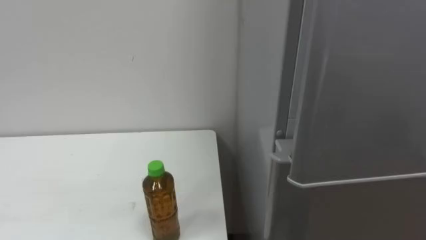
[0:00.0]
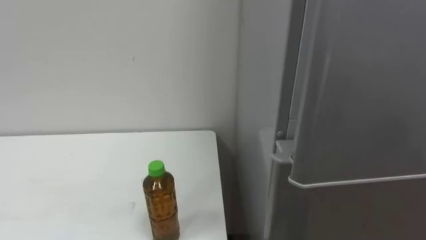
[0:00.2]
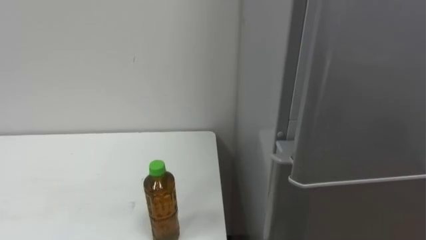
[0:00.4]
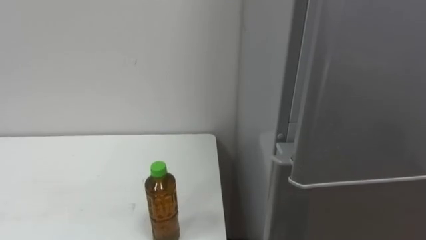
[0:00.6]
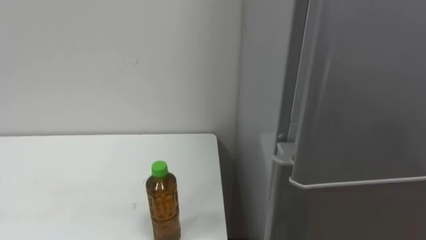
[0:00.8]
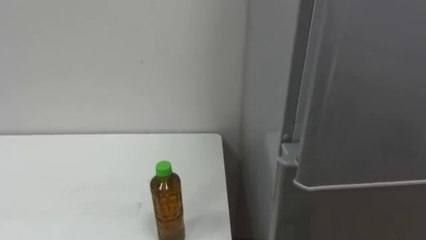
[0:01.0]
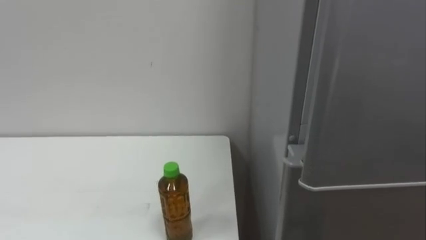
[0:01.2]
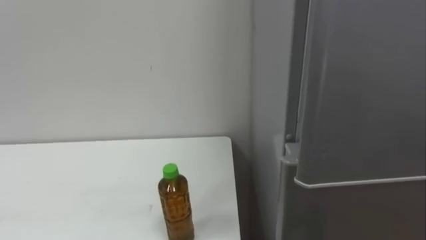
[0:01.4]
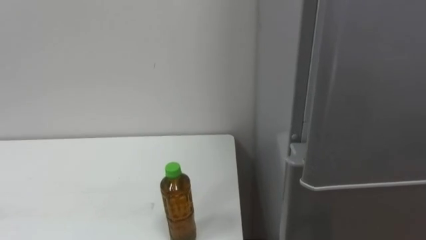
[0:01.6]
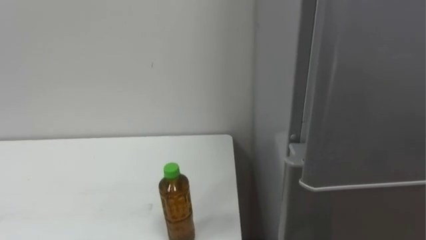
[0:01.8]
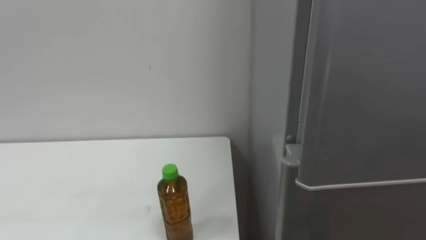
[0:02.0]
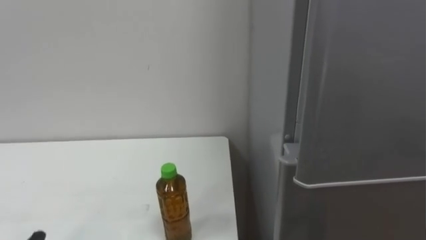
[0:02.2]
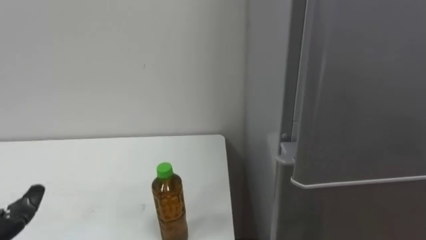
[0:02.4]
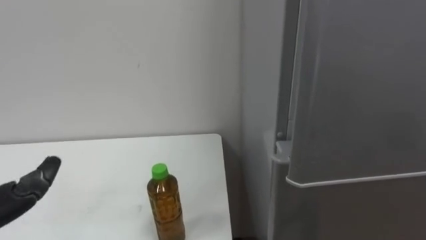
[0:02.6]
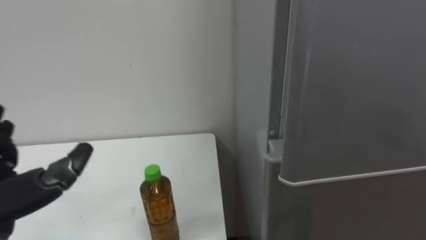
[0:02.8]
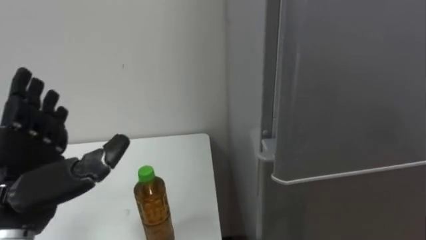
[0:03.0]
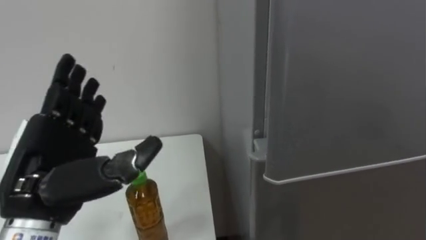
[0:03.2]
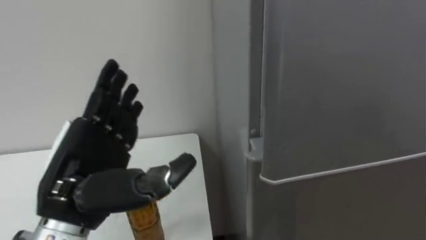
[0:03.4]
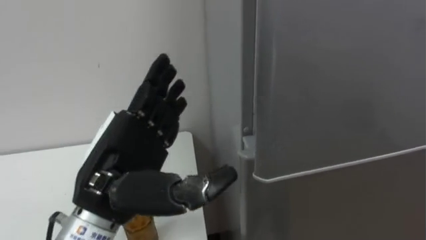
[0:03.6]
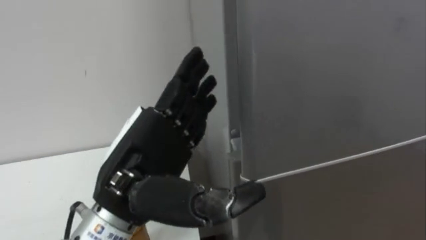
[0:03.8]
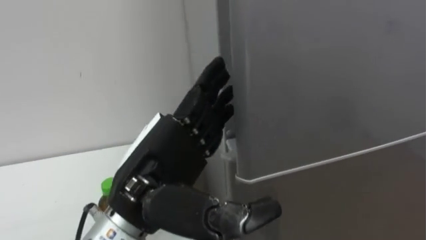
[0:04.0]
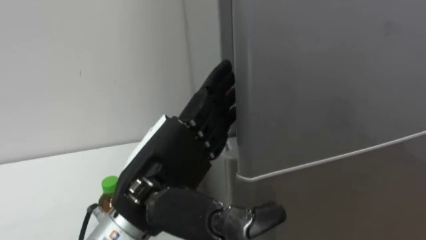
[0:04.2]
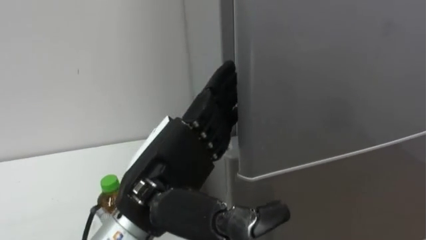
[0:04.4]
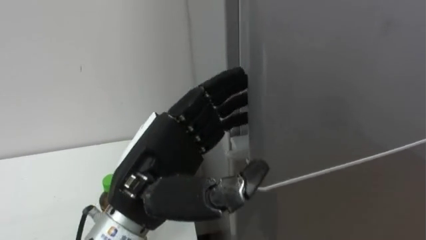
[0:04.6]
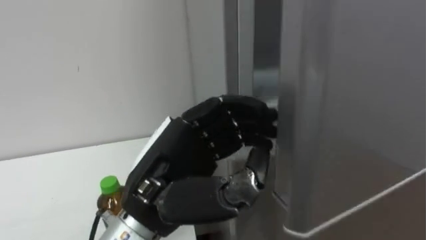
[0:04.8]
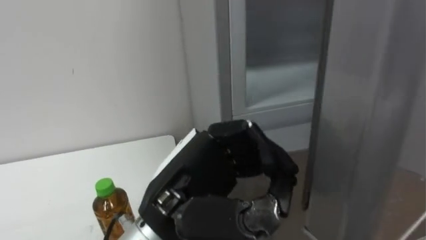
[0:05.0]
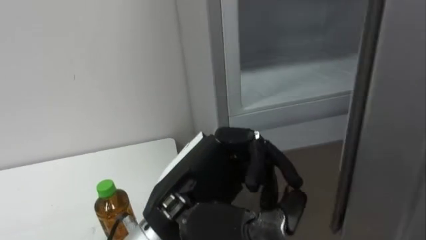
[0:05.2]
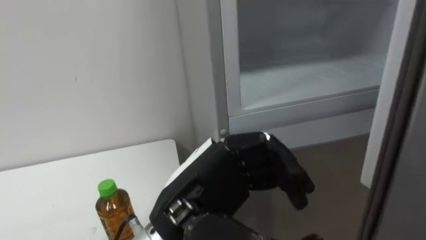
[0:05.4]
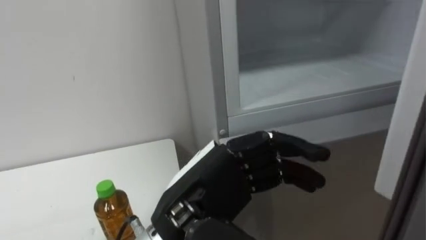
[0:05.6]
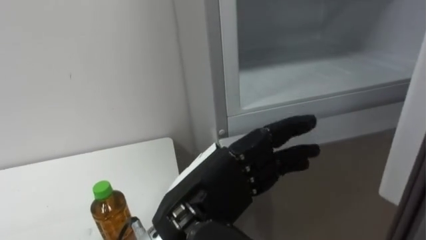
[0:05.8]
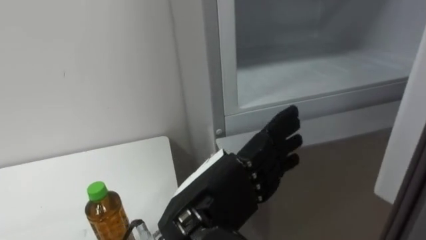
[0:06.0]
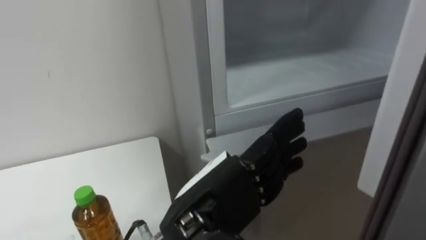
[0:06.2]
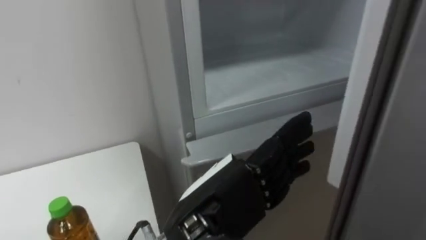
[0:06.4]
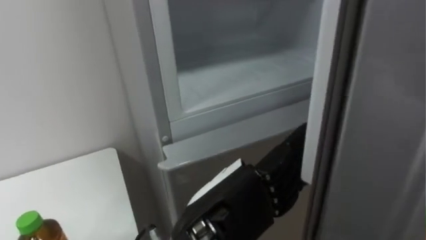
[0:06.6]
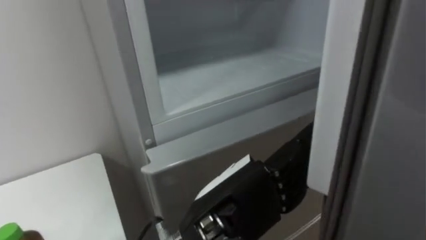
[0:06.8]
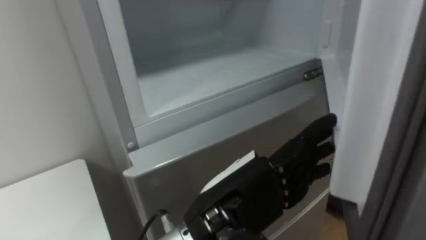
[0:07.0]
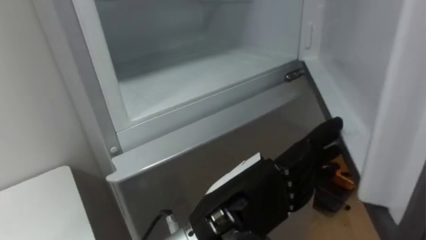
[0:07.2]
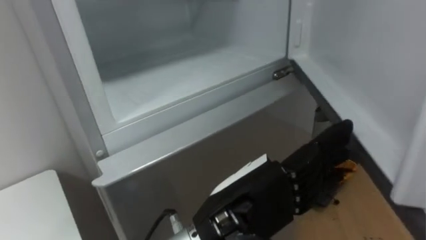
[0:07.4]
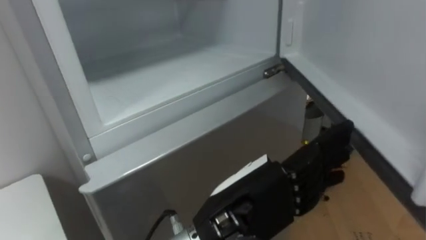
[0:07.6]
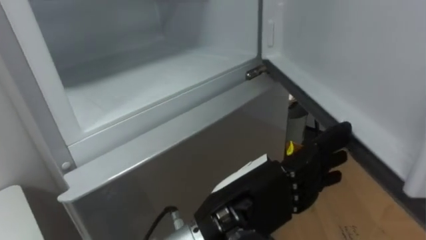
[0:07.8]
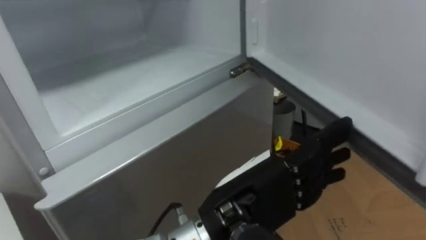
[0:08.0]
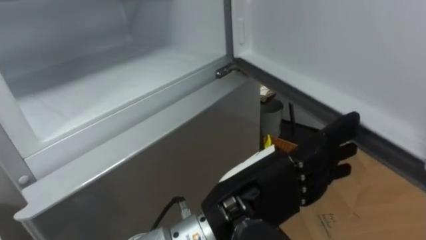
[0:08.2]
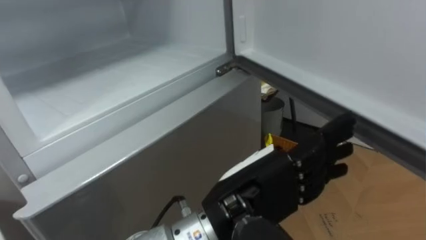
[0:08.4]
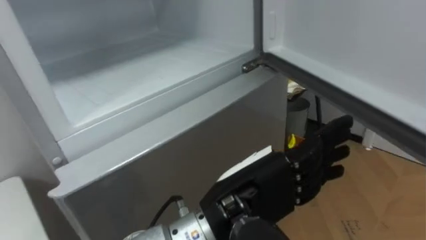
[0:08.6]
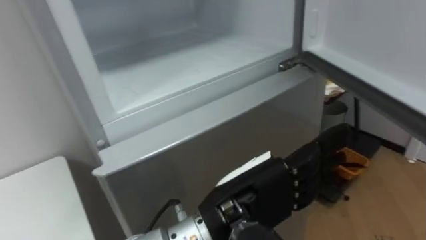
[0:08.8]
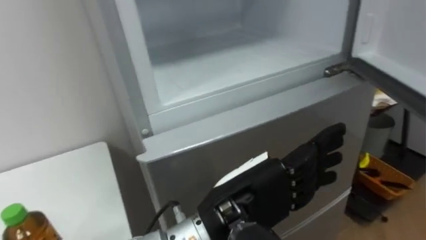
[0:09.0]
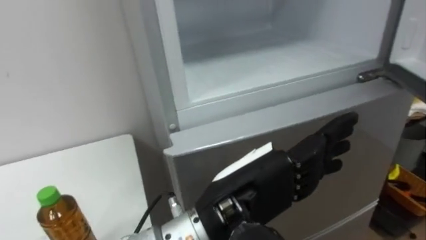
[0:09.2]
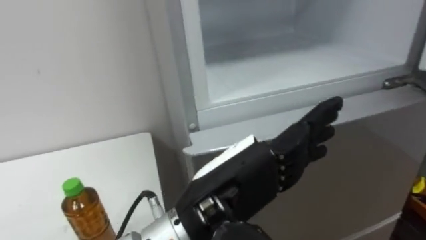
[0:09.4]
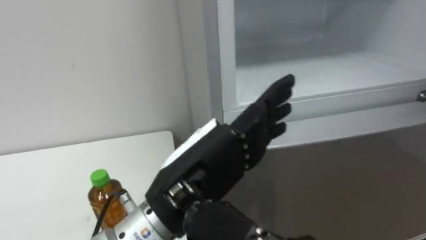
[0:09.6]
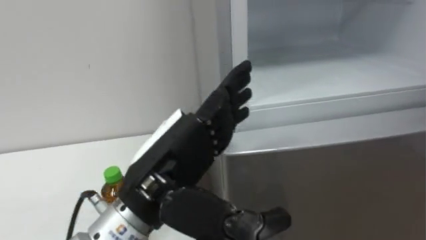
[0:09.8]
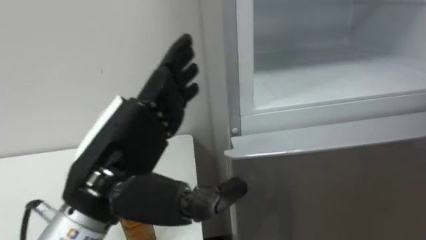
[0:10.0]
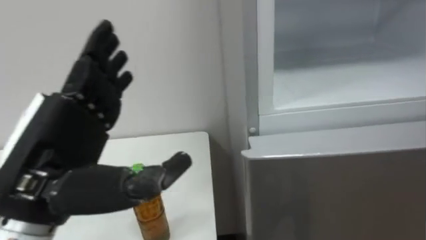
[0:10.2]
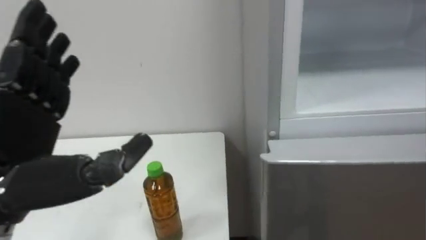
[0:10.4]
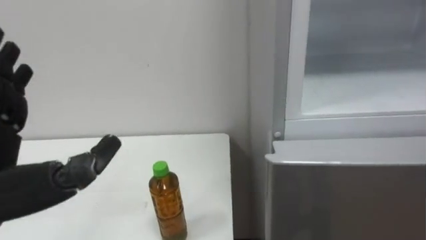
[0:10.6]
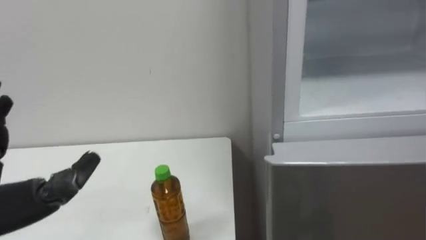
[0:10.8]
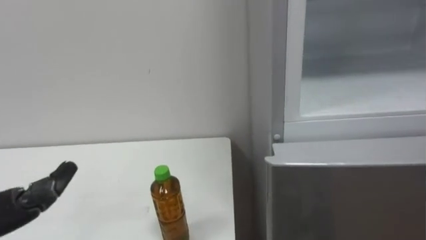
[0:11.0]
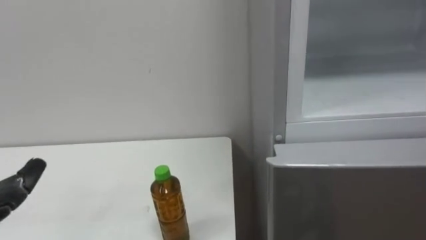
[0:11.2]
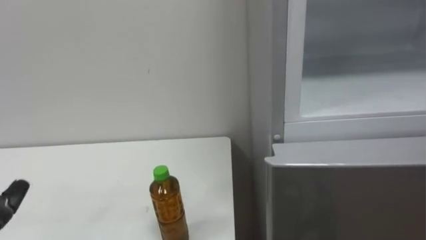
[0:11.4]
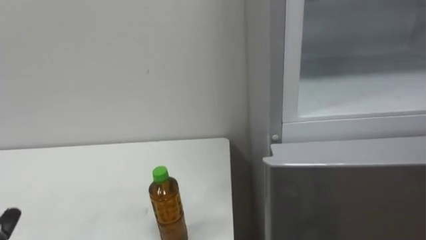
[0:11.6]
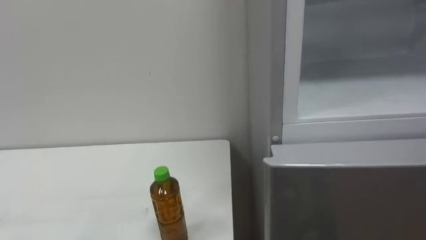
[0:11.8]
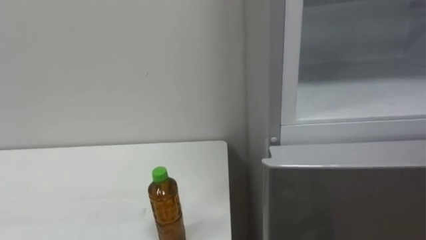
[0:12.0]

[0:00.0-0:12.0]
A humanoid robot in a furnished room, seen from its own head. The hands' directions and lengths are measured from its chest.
Task of the whole recording: Open the upper refrigerator door, put the drink from the table into the refrigerator, and then close the refrigerator door.
0:03.0 to 0:04.4: The left hand heads to the right, covering approximately 15 cm.
0:04.4 to 0:06.0: The left hand moves approximately 5 cm, and closes, then opens again.
0:06.0 to 0:07.6: The robot faces roughly 20 degrees further to its right.
0:09.0 to 0:10.4: The left hand heads to the left, covering about 25 cm.

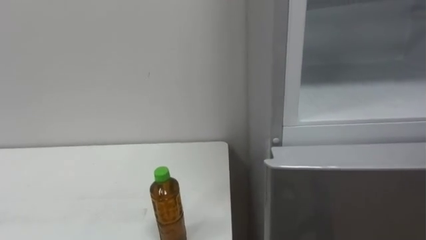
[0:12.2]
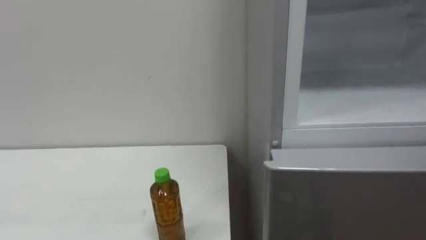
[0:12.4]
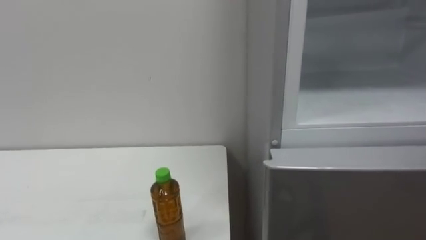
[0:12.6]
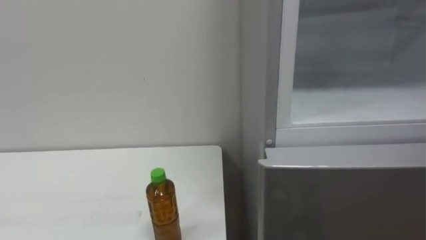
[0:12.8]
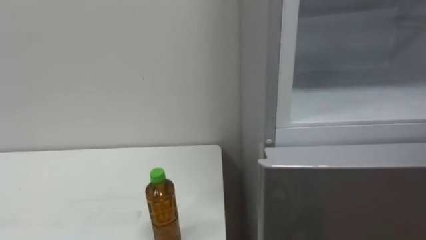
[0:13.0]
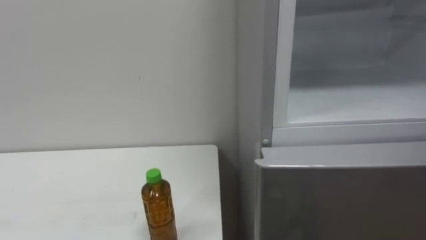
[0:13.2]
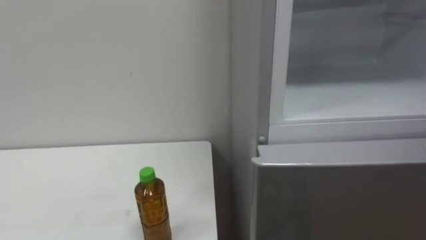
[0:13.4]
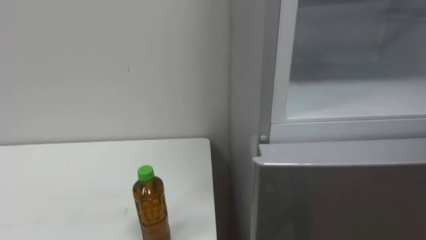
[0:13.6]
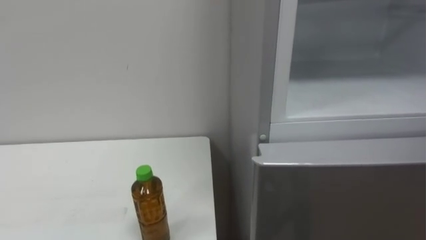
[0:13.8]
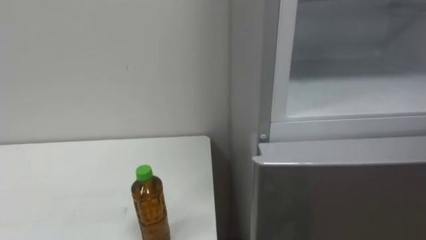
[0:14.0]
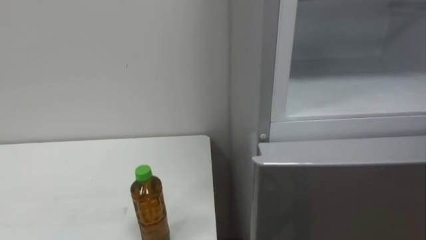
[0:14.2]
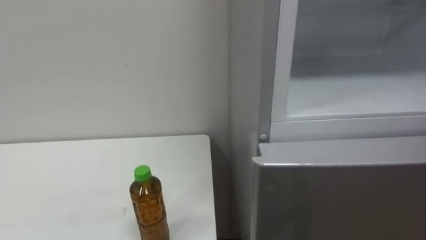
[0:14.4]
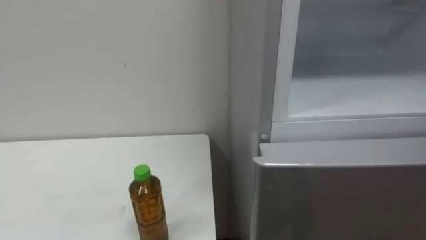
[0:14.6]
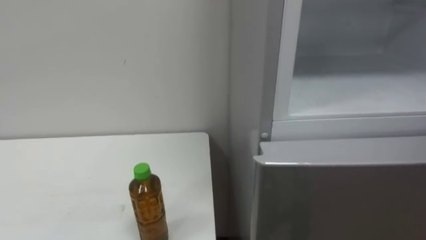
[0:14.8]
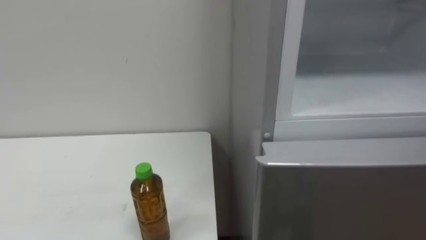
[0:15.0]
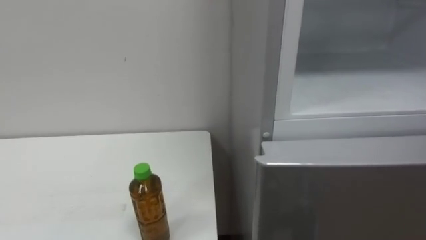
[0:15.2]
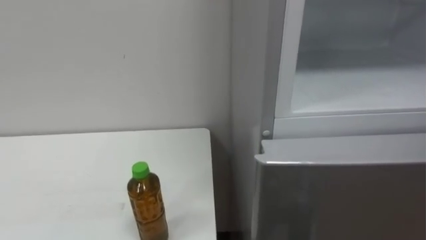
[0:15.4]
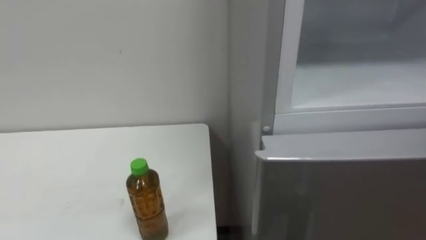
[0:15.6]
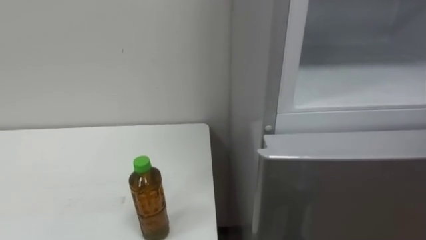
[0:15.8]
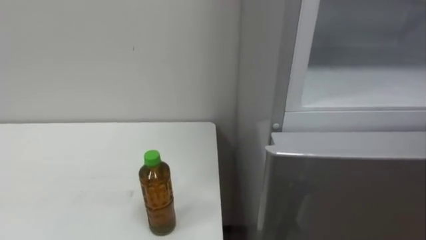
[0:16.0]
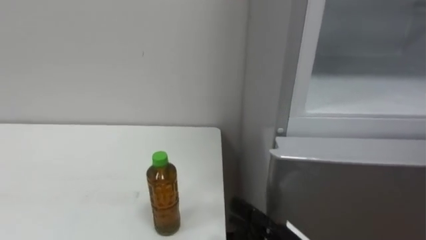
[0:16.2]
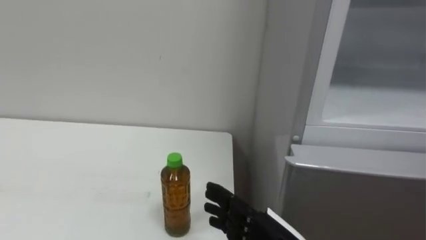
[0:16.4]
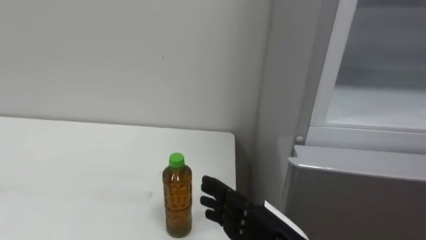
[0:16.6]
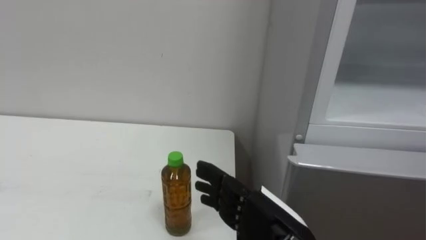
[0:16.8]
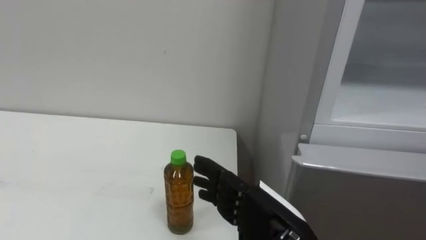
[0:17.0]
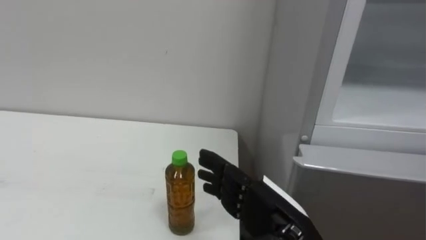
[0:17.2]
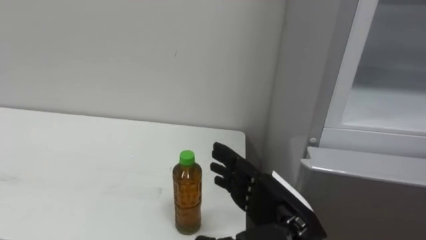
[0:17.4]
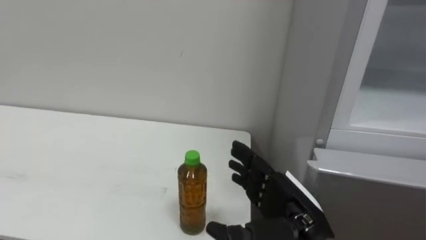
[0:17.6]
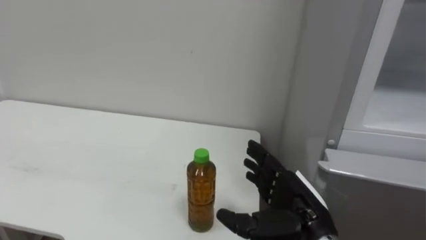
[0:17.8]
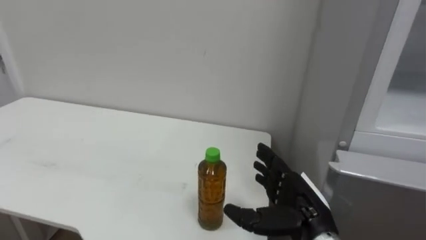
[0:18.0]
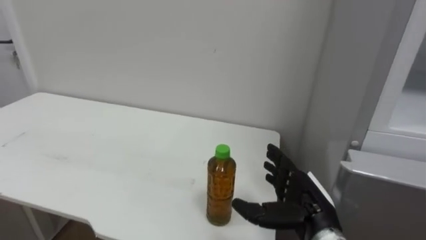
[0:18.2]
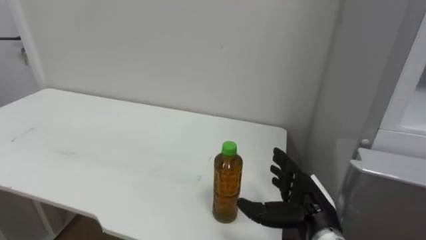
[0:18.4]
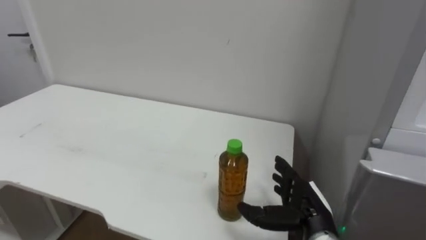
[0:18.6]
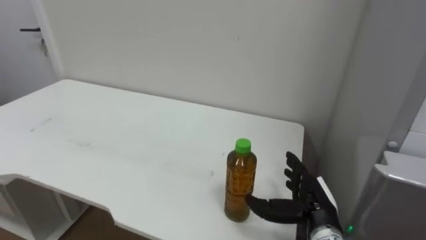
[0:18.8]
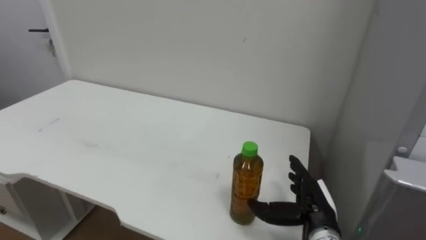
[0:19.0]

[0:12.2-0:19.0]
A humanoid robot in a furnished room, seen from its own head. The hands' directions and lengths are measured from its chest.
Task of the whole recording: Open the upper refrigerator door, put the drink from the table into the refrigerator, and then close the refrigerator door.
0:17.6 to 0:19.0: The right hand moves downward, forward and to the right, approximately 10 cm.
